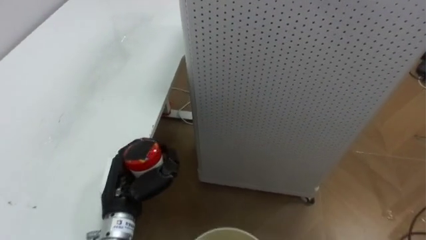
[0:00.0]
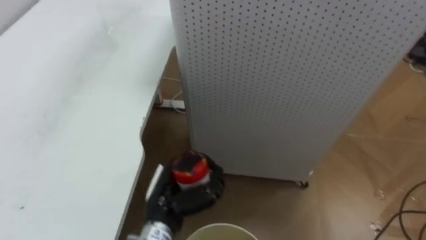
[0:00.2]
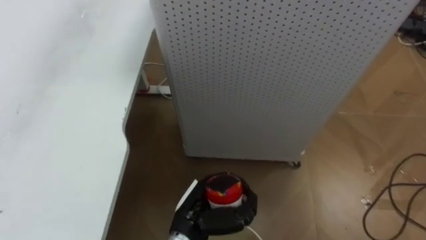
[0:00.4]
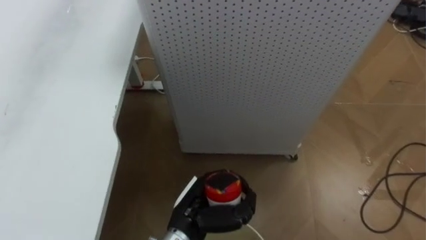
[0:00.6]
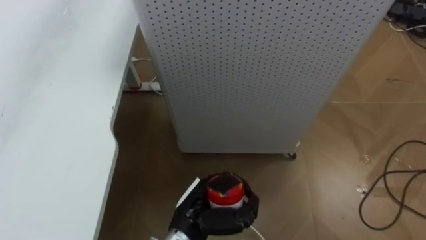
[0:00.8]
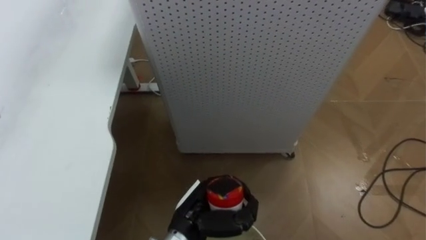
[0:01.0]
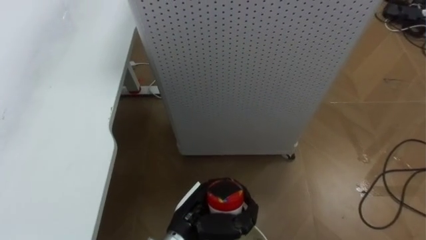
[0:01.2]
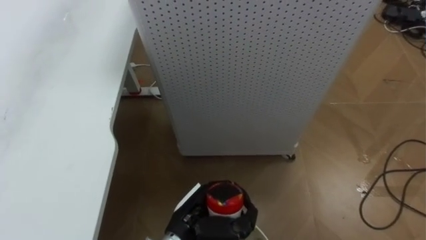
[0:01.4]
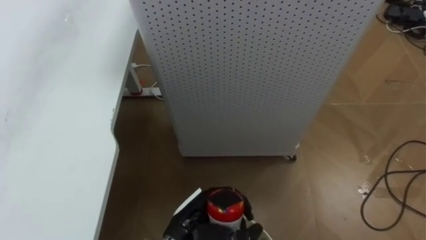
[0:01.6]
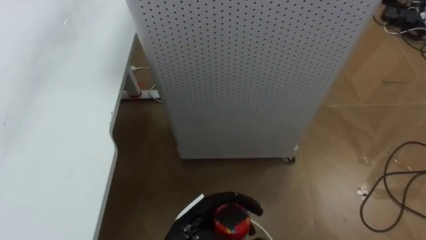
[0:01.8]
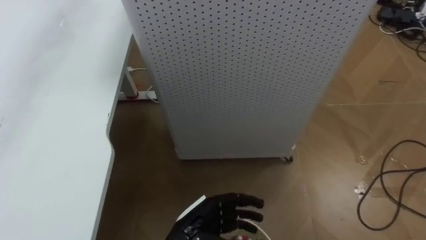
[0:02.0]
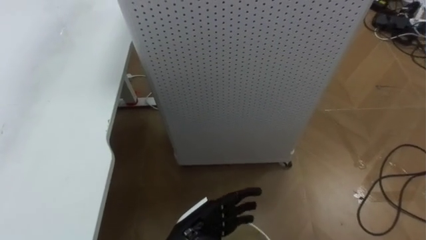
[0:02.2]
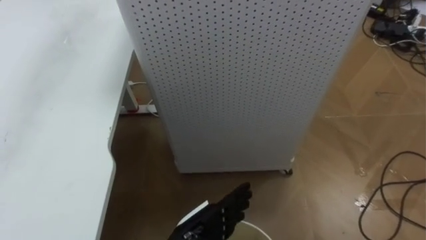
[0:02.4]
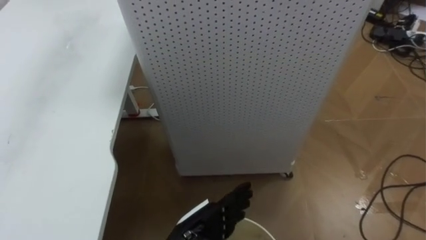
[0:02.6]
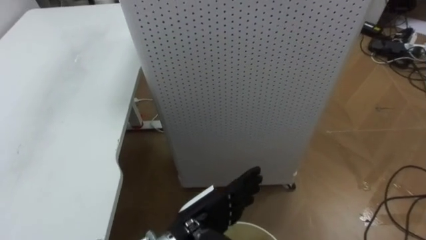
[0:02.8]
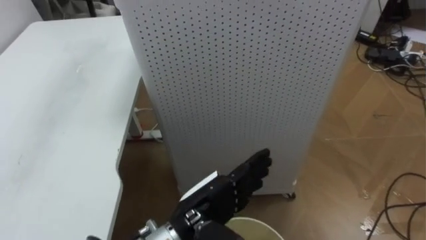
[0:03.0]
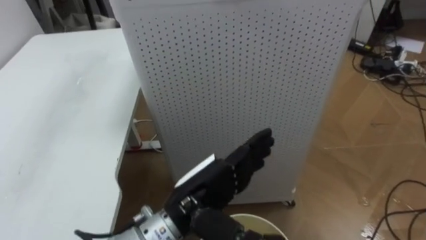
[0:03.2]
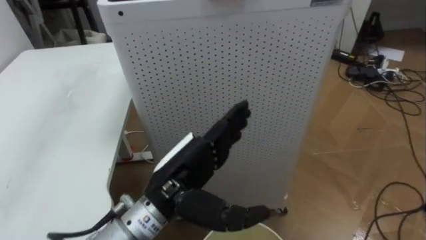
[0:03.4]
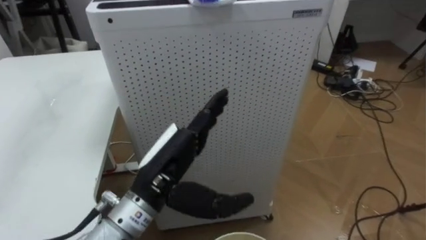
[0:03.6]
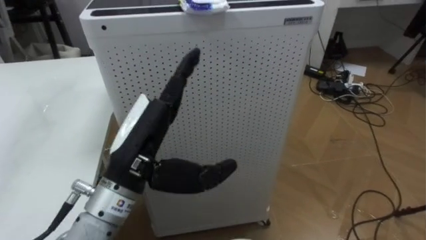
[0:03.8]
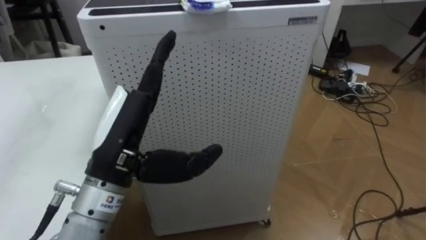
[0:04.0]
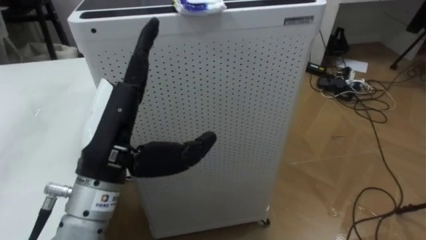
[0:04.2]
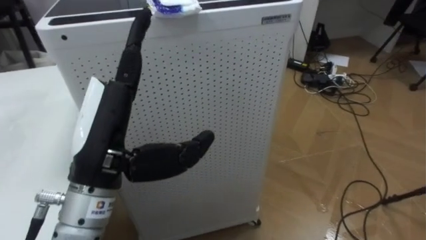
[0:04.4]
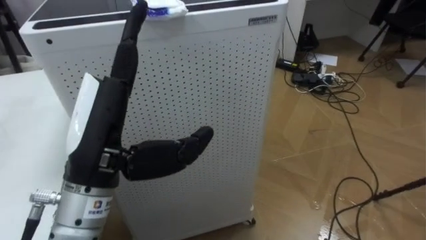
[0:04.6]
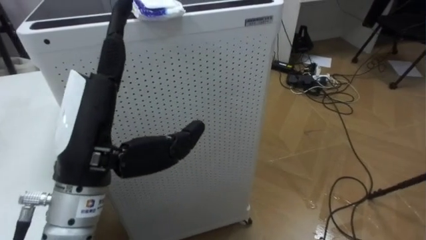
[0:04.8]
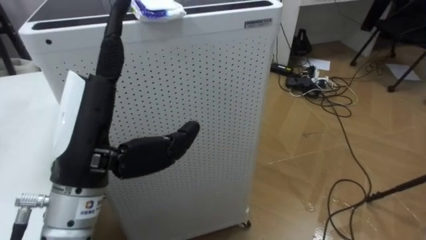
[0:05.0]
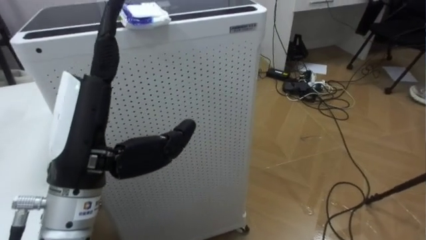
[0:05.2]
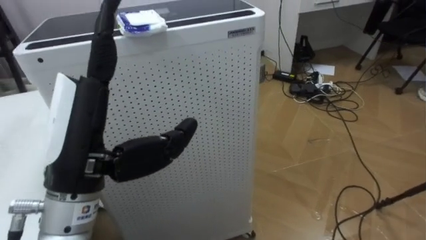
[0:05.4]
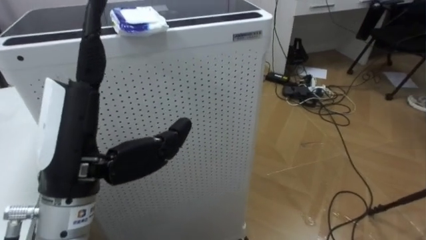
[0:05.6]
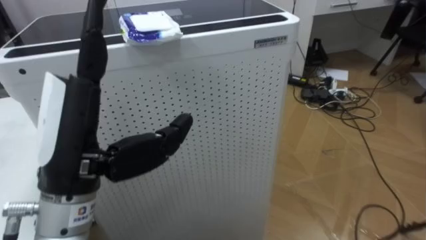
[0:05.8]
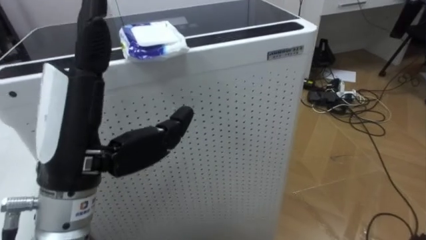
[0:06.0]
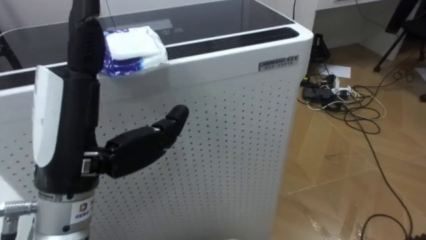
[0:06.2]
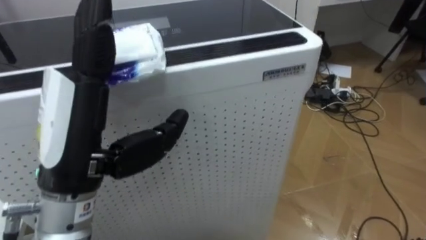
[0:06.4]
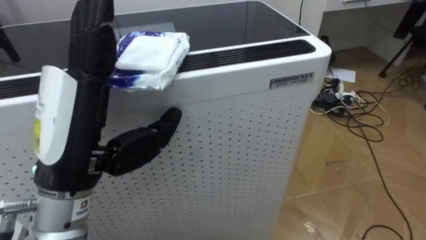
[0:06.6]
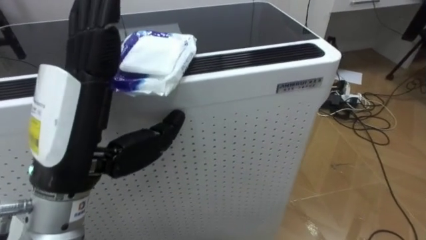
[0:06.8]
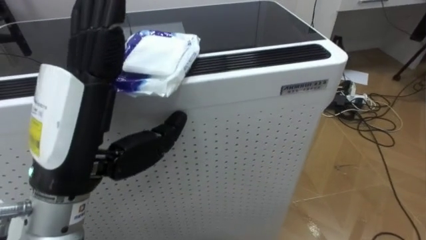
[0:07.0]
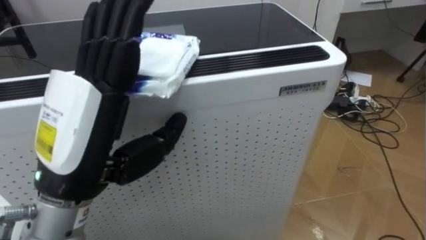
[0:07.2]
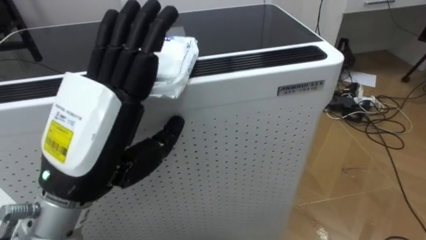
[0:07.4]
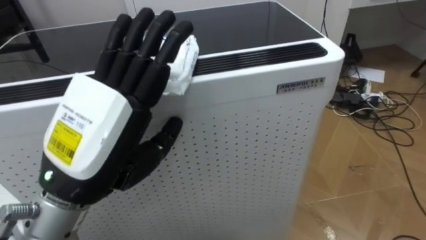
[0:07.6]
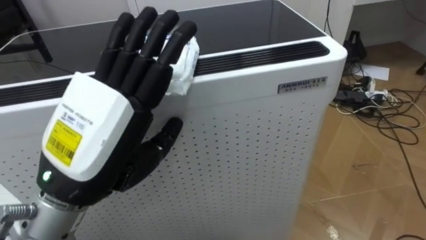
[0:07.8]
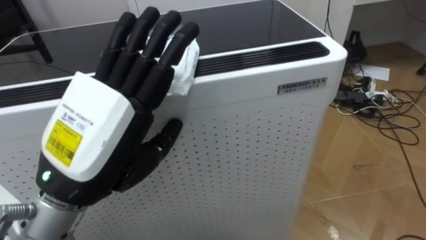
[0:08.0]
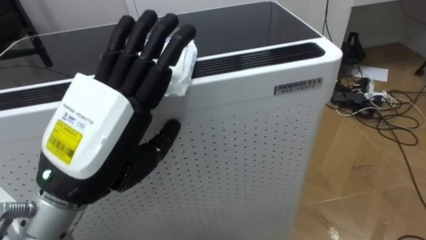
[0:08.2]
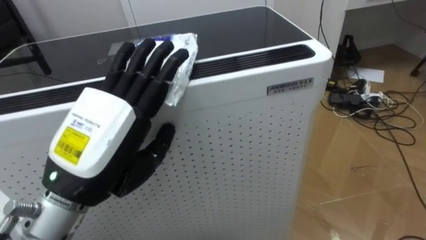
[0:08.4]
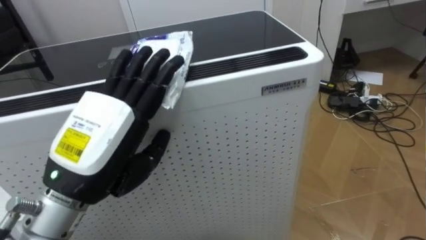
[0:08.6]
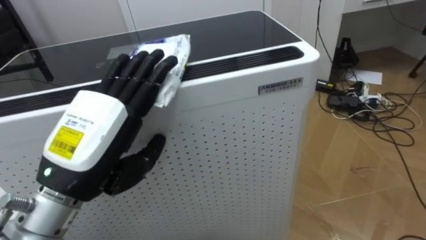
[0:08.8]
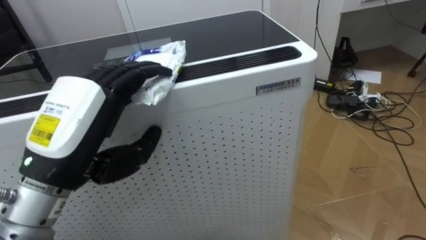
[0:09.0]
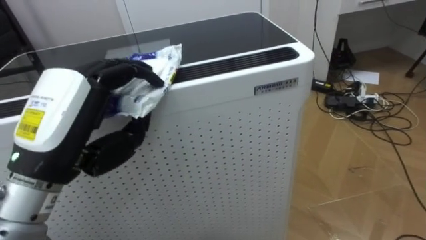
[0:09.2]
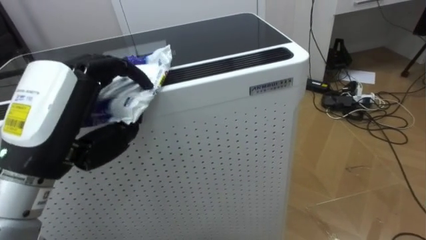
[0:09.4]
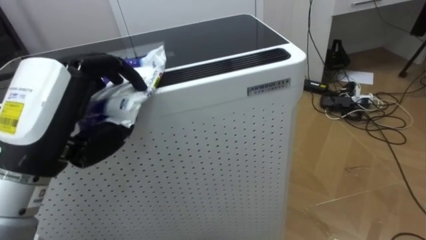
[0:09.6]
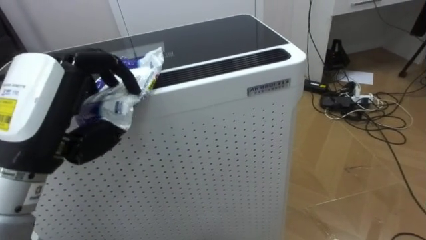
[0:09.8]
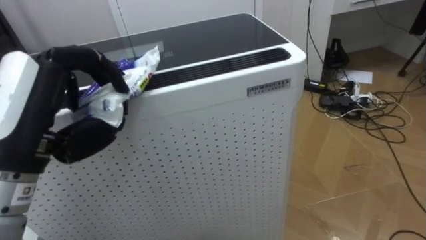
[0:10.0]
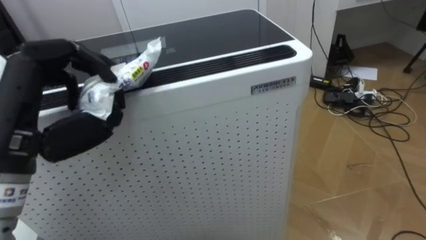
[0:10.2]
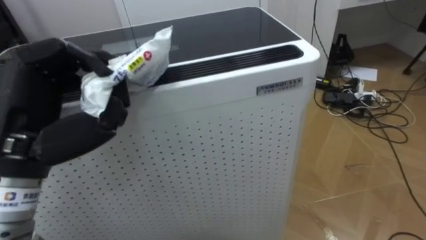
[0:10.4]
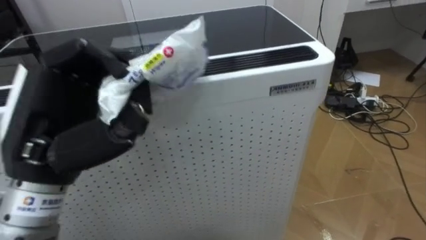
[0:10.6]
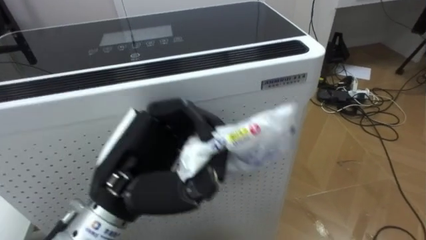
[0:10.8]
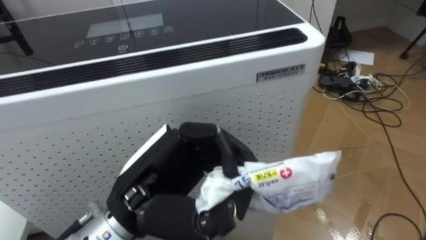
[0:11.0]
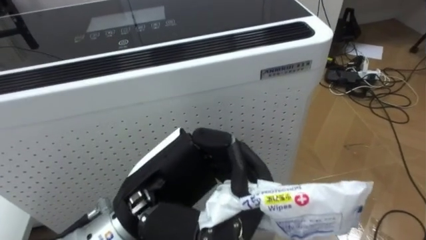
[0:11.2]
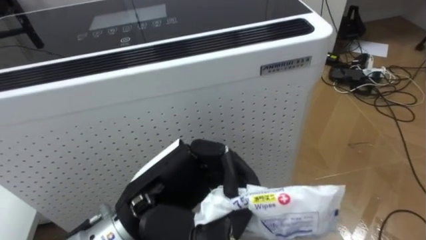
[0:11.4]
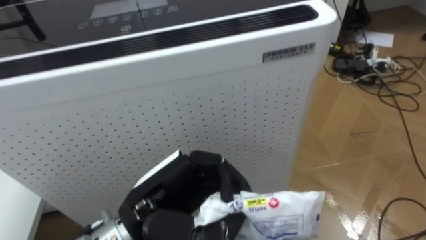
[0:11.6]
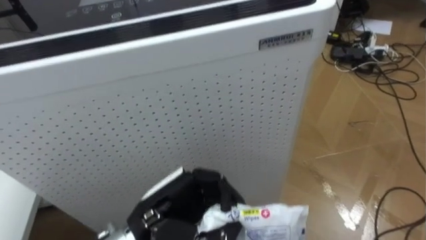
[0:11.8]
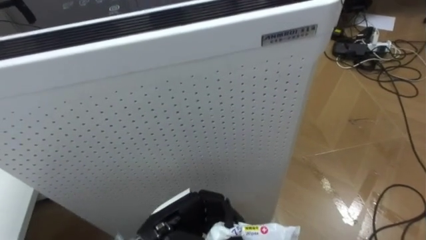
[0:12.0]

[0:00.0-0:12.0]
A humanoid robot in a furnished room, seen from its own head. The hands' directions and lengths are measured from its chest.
Task of the whole recording: Pick up the light blue package, the candy box, and the dark blue package separately, and put them into the trash can held in your right hand.
0:00.0 to 0:01.6: The left hand is displaced to the right by some 15 cm.
0:01.6 to 0:03.0: The left hand goes approximately 5 cm upward, and opens up.
0:03.0 to 0:04.4: The robot's body swings roughly 15 degrees to its right. The left hand is displaced upward and to the left by approximately 20 cm.
0:09.0 to 0:10.4: The left hand closes its fingers.
0:10.4 to 0:12.0: The left hand shifts roughly 25 cm downward and to the right.

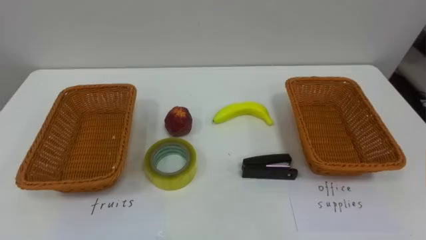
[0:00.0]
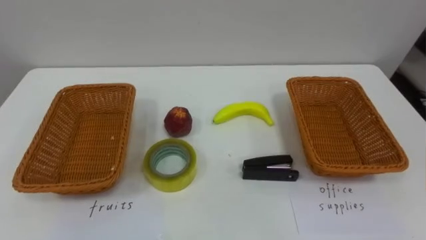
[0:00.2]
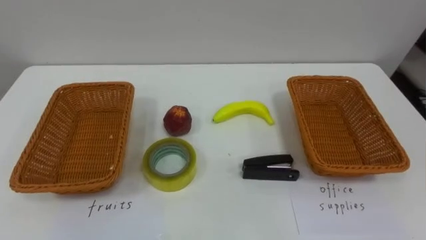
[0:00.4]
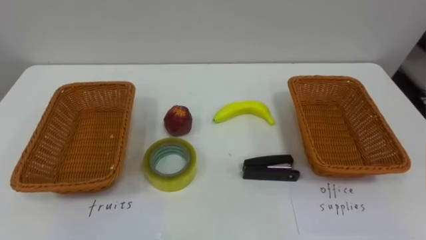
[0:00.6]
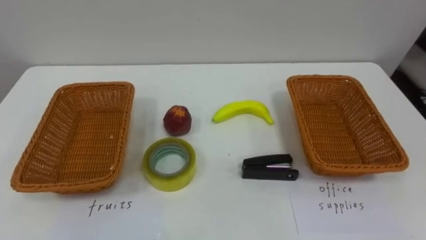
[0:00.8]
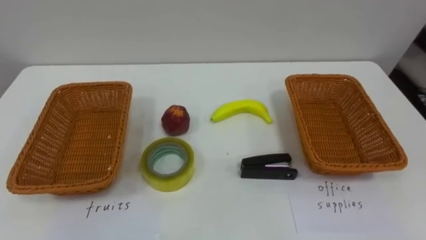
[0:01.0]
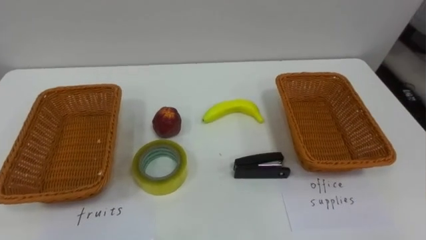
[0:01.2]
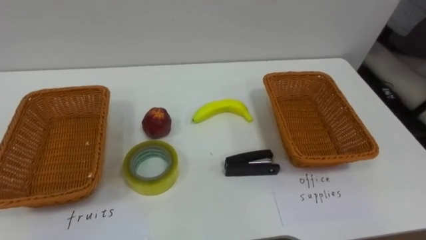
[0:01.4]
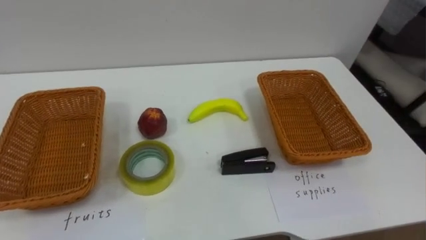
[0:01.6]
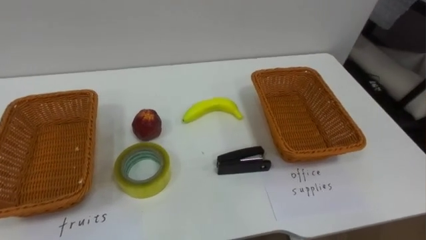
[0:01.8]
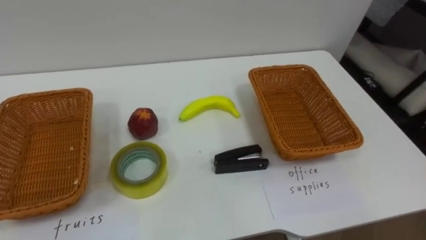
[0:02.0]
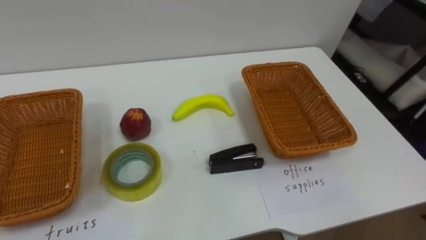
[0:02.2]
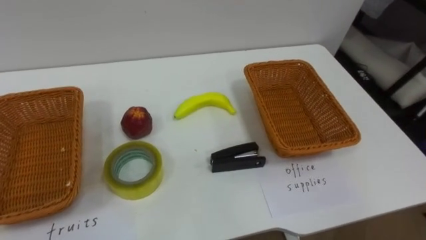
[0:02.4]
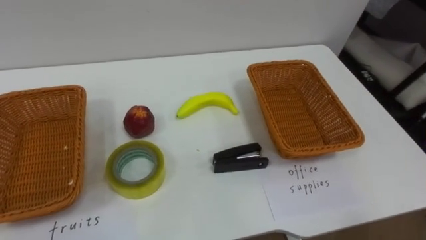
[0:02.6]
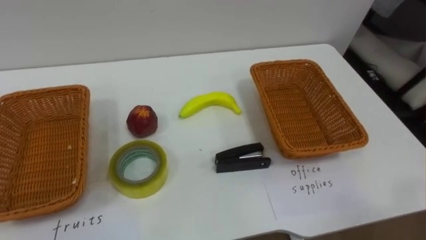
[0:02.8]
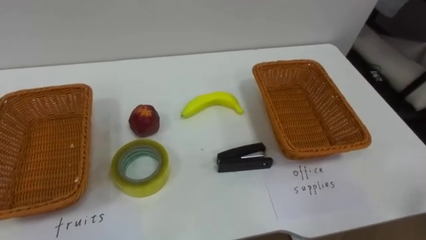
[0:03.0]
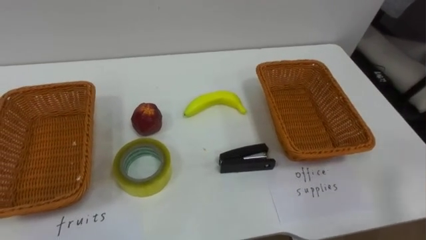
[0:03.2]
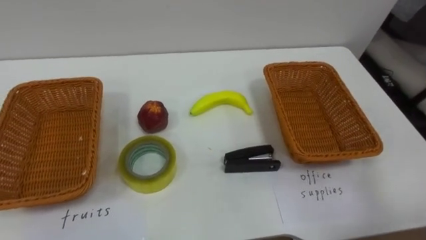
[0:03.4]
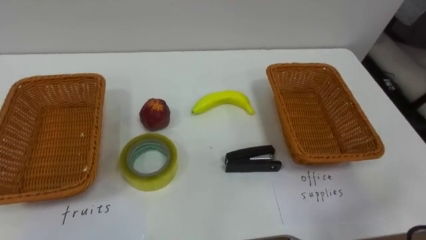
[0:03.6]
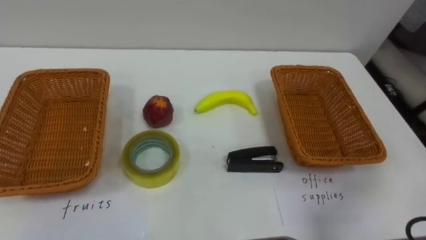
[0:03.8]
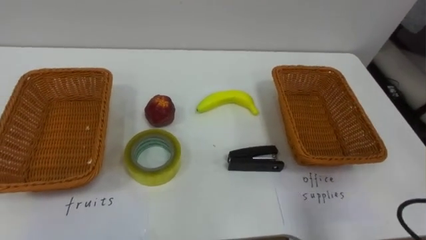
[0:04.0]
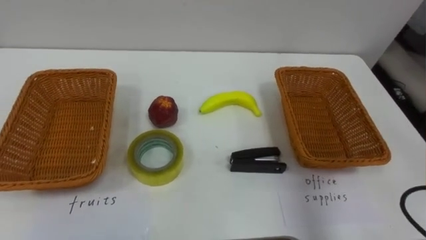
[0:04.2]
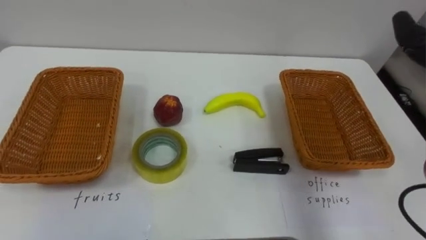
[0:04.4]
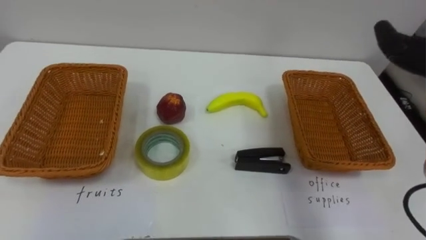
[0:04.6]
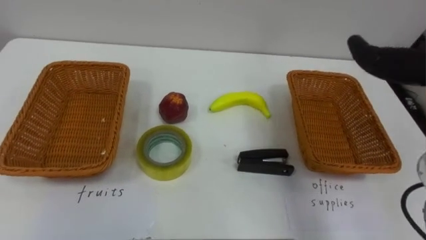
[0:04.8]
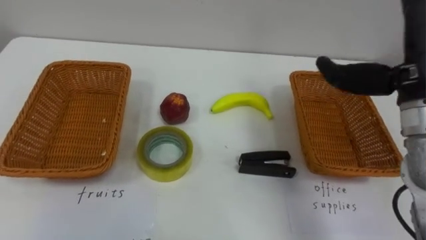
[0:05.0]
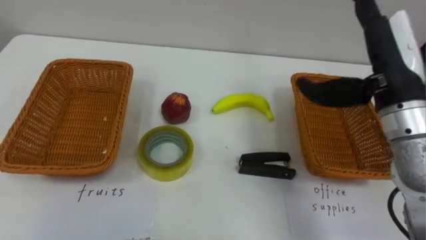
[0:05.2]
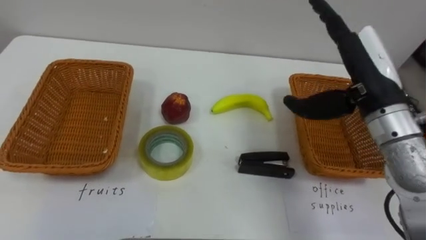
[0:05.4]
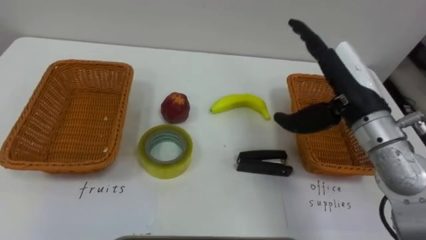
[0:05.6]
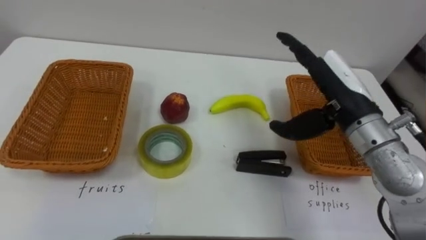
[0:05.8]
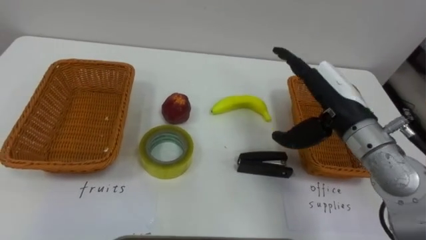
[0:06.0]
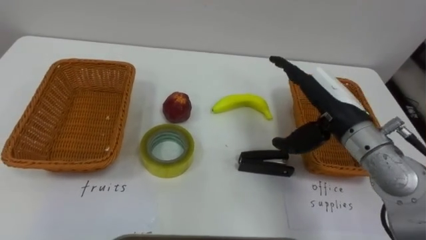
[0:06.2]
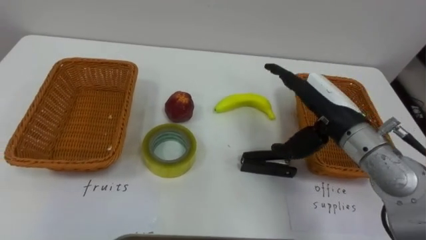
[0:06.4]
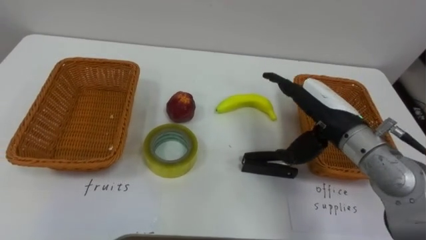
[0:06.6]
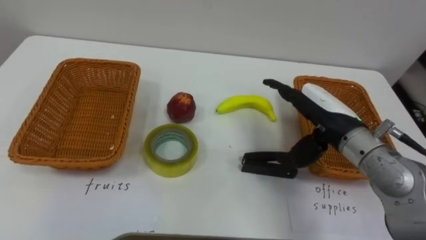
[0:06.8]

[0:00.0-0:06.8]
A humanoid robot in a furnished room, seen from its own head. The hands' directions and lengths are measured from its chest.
Task of the whole recording: Separate the items on the table and place them into the two baskets.
0:05.4 to 0:06.8: The right hand heads downward, covering some 10 cm.
